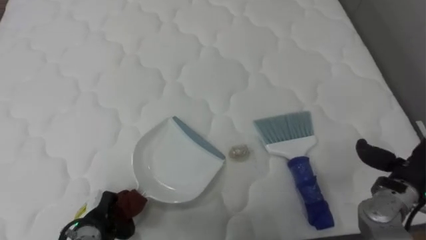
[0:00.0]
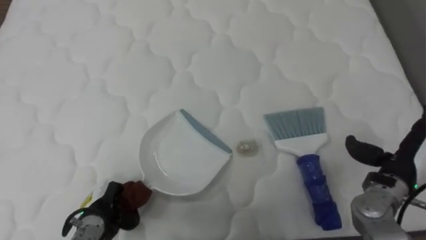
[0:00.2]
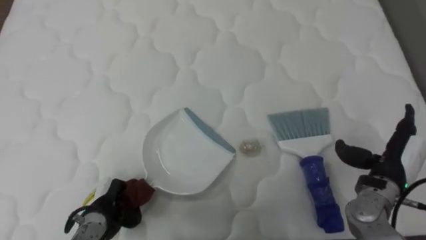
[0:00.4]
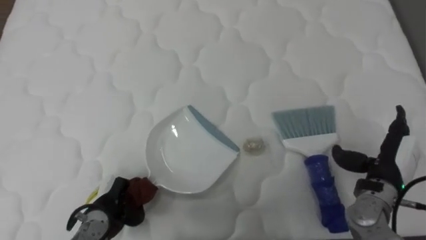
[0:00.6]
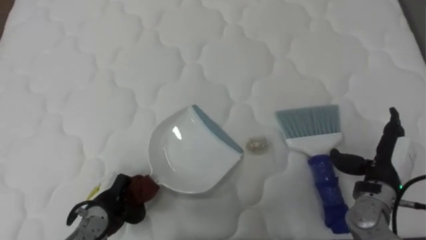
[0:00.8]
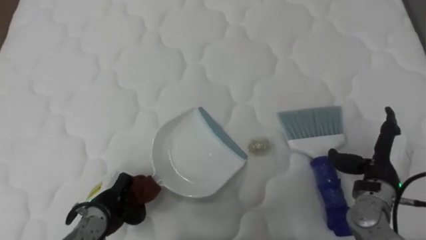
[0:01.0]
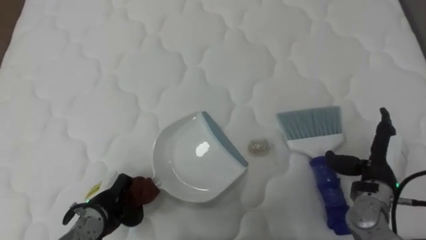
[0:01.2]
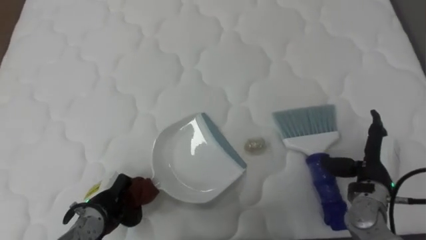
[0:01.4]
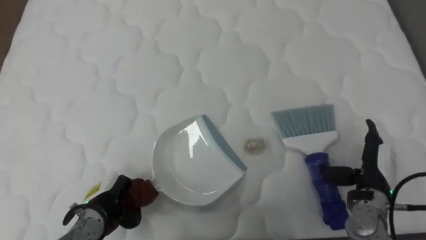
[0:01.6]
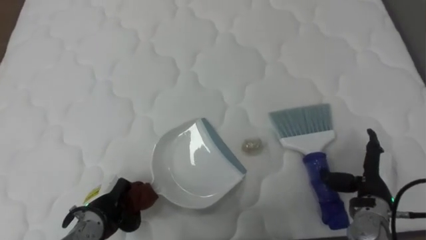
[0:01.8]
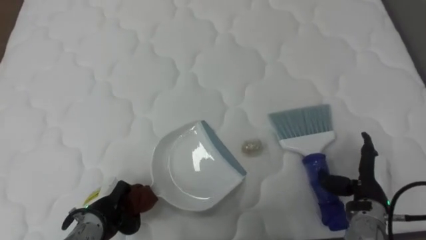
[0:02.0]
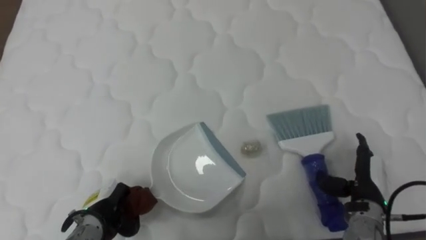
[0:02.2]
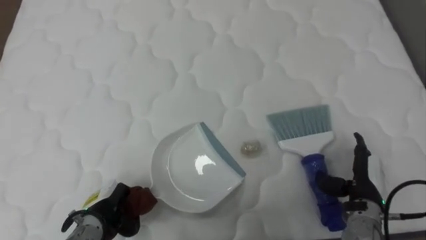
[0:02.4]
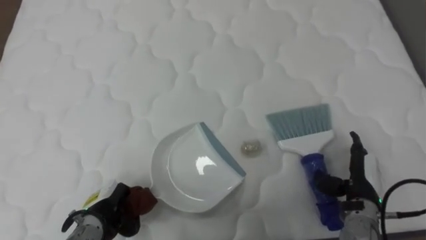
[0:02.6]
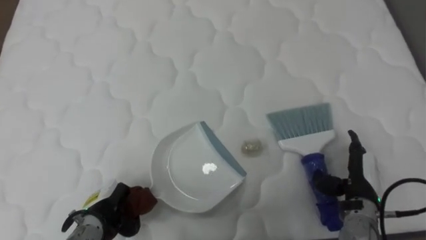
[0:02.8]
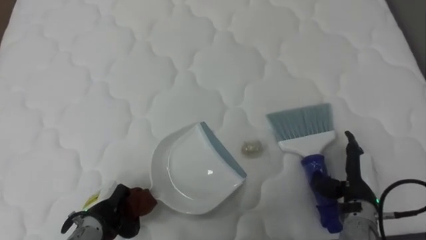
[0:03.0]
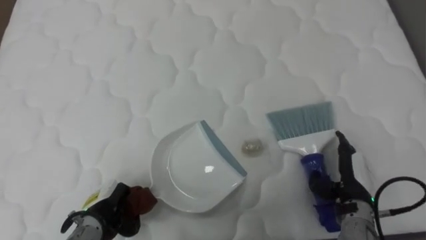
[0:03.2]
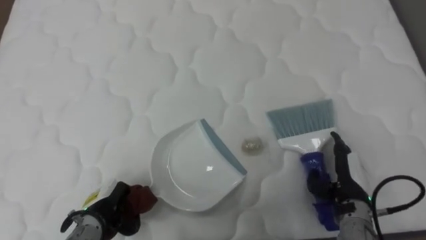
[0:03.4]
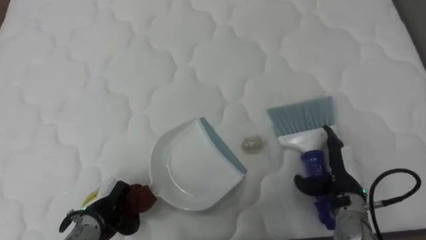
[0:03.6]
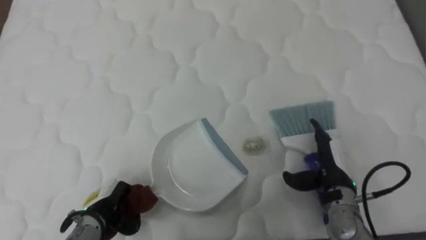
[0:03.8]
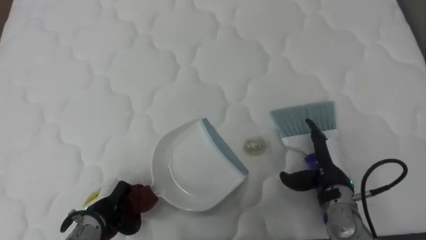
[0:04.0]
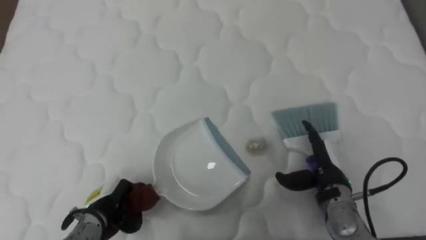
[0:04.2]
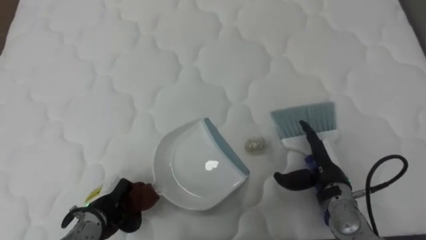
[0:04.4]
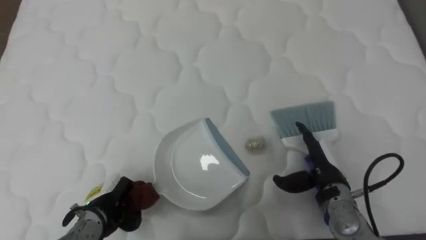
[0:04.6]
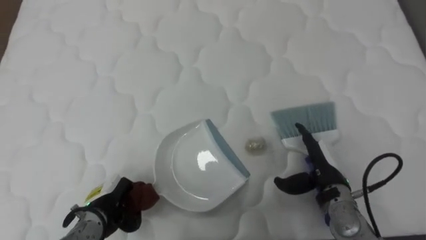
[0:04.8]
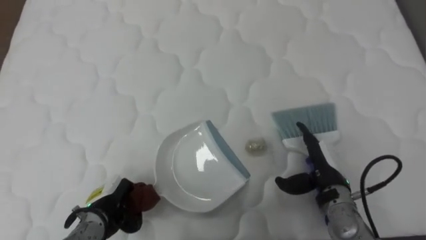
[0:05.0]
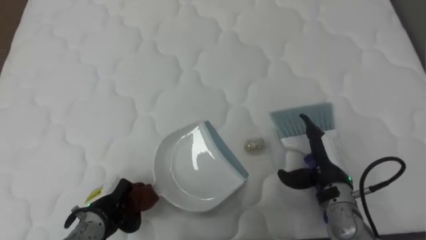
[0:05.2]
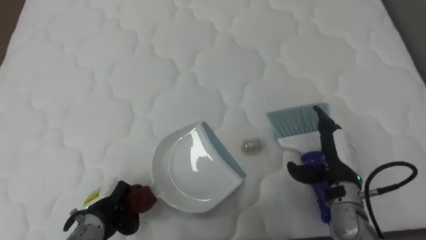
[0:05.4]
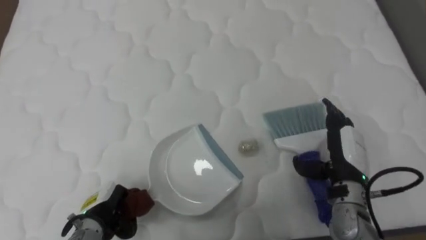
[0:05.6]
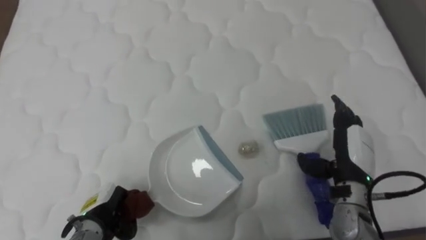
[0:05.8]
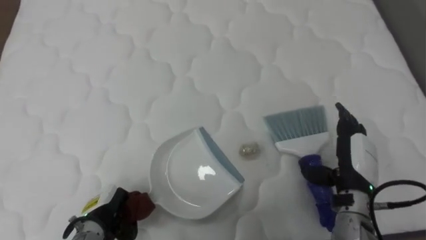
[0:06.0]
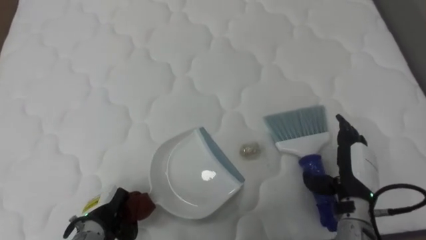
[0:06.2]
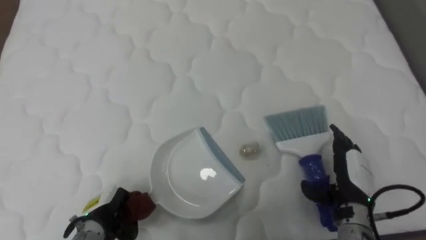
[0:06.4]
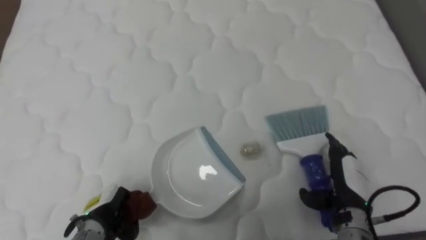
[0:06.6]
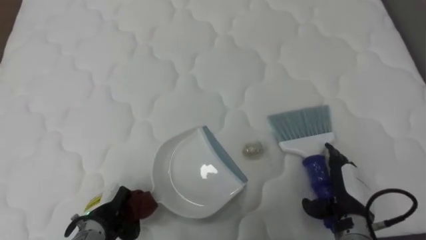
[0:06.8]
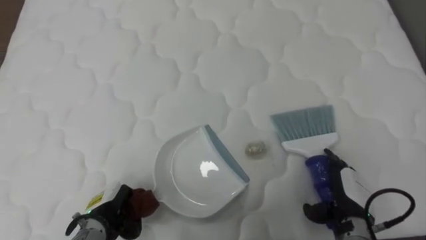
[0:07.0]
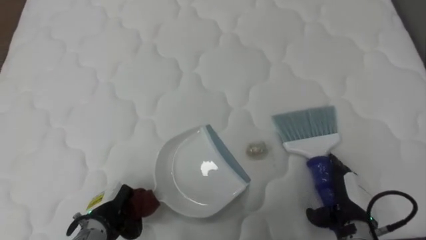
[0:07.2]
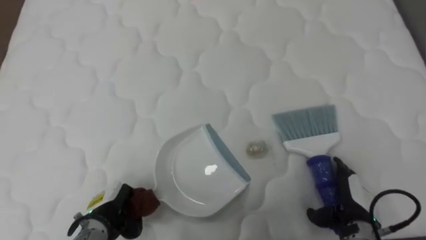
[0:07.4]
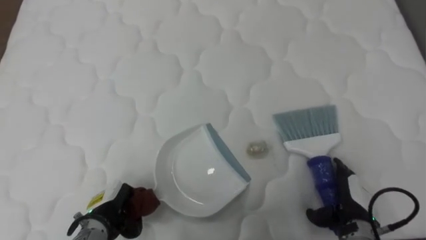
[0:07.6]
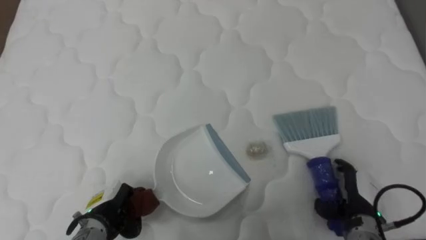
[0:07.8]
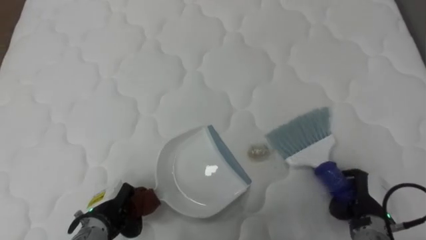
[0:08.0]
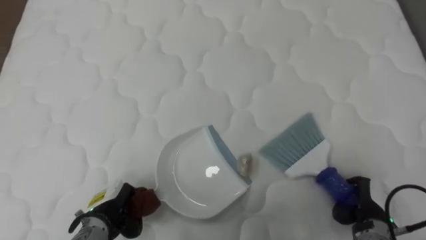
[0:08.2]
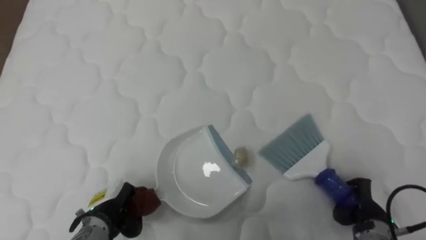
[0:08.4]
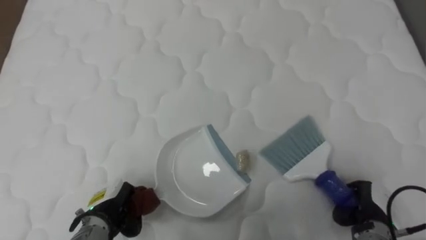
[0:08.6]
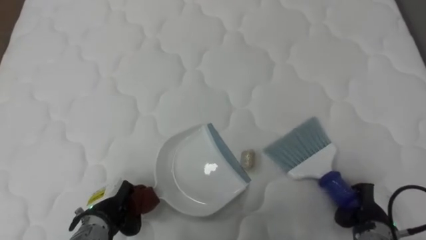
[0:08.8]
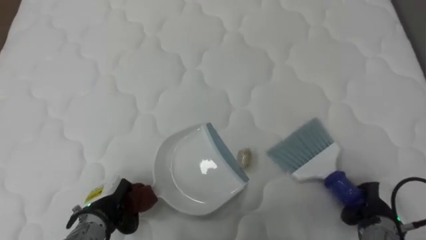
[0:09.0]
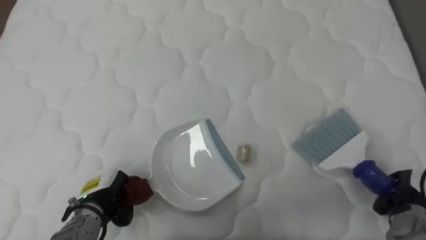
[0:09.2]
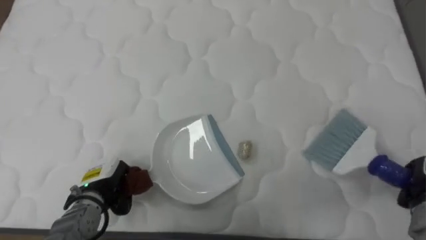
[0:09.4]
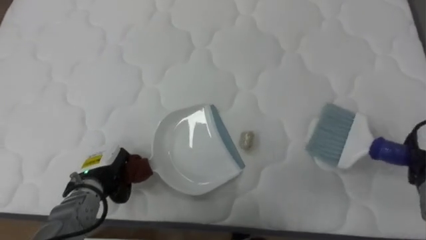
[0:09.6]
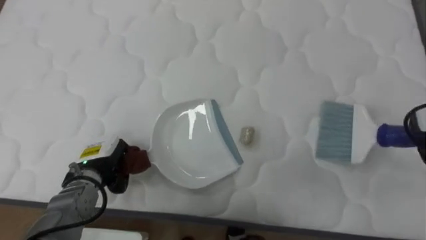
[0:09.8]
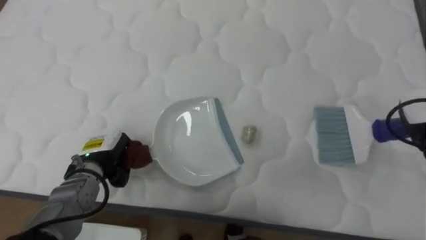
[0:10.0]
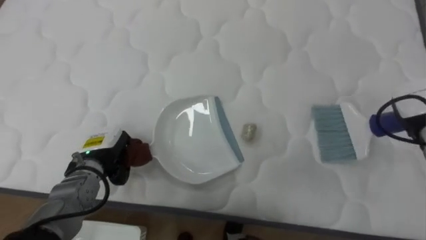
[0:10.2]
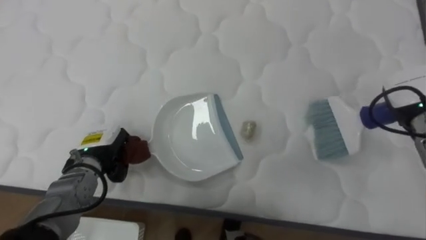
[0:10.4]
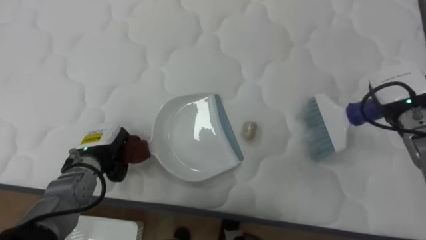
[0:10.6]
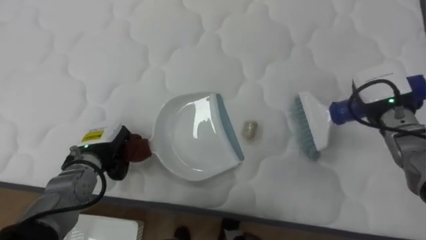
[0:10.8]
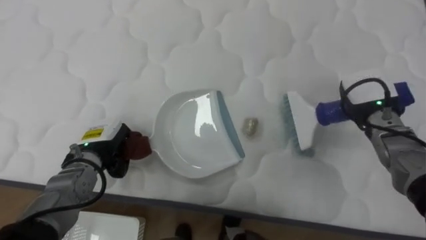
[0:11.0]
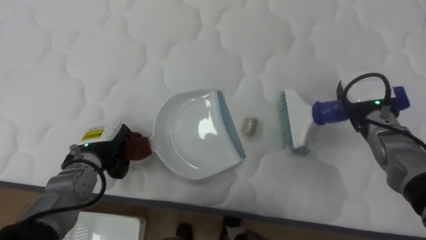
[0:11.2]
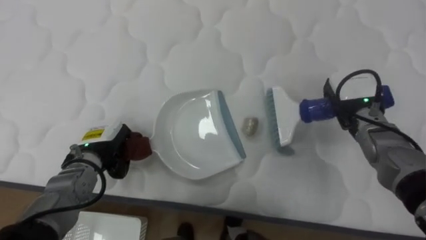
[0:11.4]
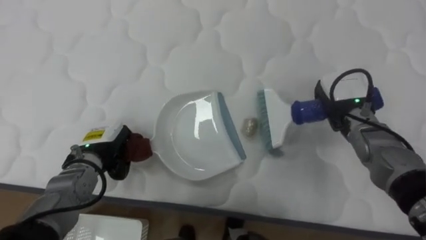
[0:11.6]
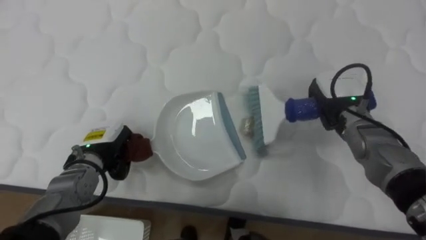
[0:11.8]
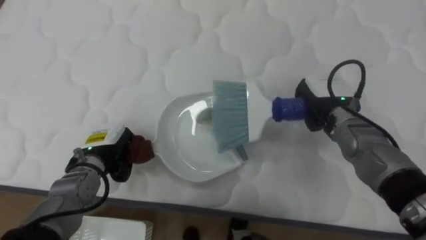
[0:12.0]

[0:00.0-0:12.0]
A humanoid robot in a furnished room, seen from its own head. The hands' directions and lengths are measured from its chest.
Task of the whole recording: Pick up the brush on your right and the dustpan on your left. Use the brush to sweep the crumpled paper on the bed into the dustpan, then turn left and empty it into the basket.
0:00.0 to 0:01.6: The right hand moves to the left, some 5 cm.
0:01.6 to 0:03.0: The hands make only small movements.
0:03.0 to 0:04.4: The right hand heads to the left, covering approximately 5 cm.
0:04.4 to 0:06.0: The right hand moves roughly 5 cm.
0:06.0 to 0:07.6: The right hand is displaced downward by some 10 cm.
0:07.6 to 0:09.0: The right hand heads to the right, covering some 5 cm, and closes.
0:09.0 to 0:10.4: The left hand shifts about 10 cm forward and upward.
0:10.4 to 0:12.0: The right hand goes approximately 15 cm to the left.

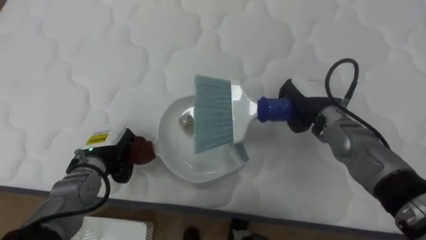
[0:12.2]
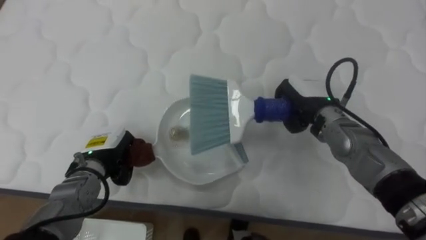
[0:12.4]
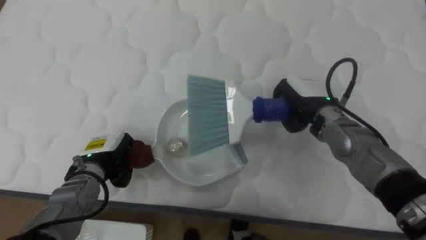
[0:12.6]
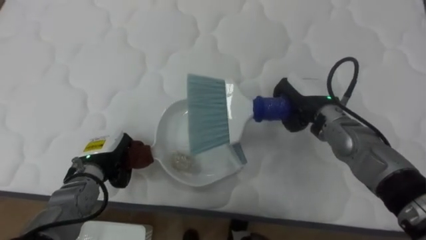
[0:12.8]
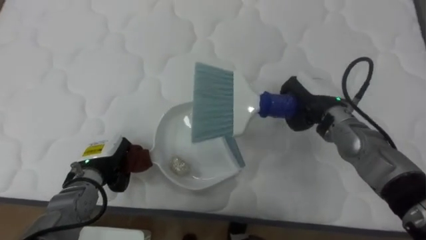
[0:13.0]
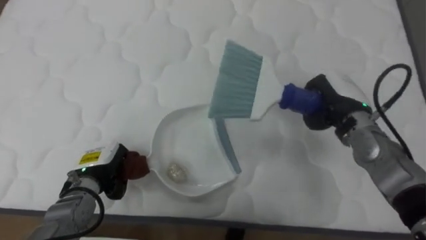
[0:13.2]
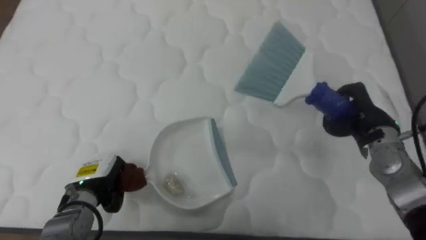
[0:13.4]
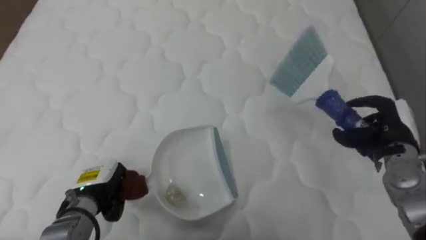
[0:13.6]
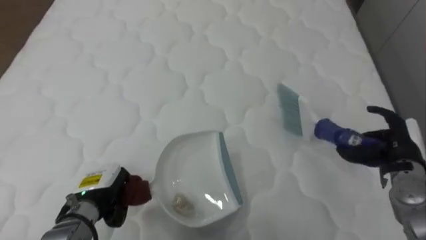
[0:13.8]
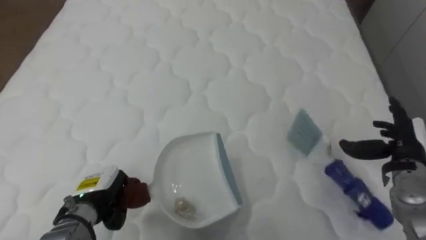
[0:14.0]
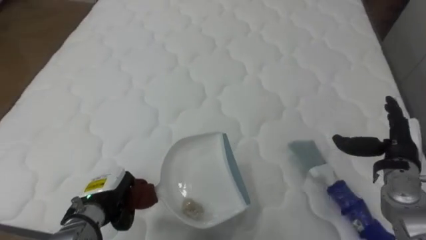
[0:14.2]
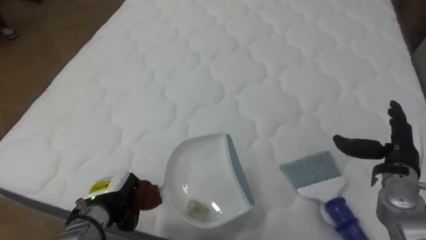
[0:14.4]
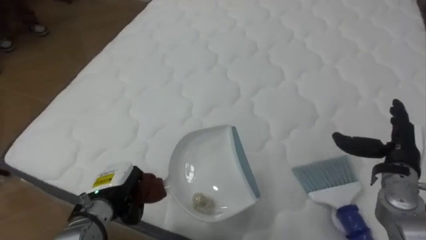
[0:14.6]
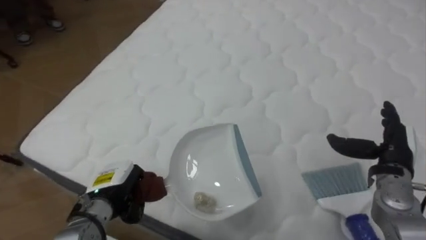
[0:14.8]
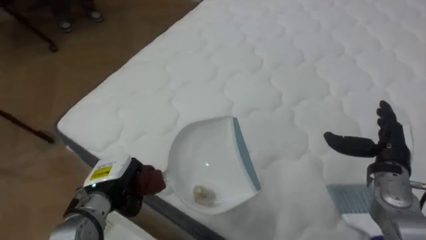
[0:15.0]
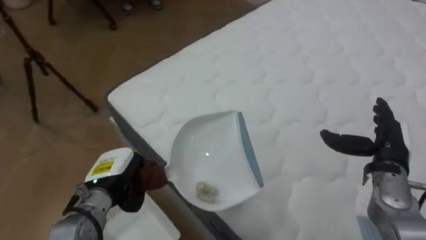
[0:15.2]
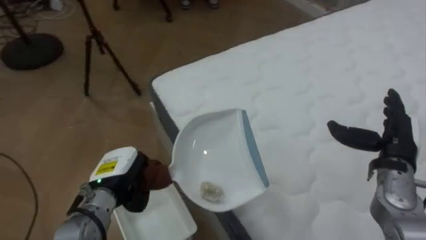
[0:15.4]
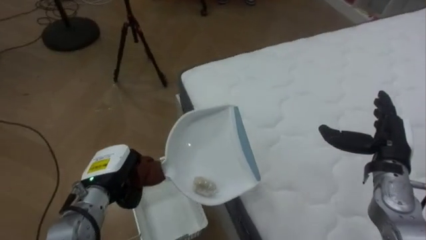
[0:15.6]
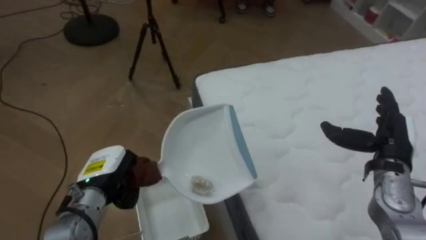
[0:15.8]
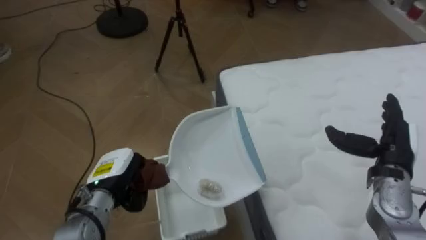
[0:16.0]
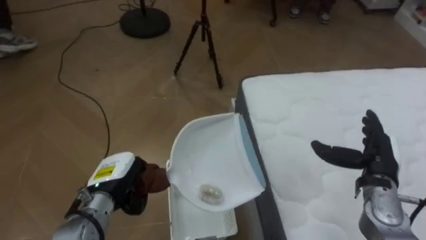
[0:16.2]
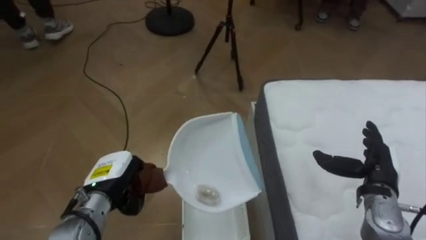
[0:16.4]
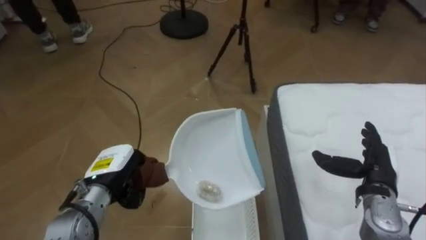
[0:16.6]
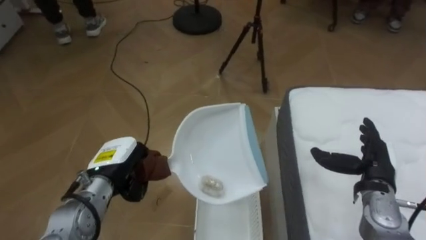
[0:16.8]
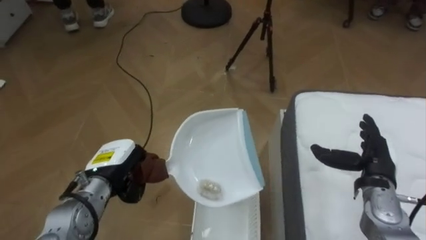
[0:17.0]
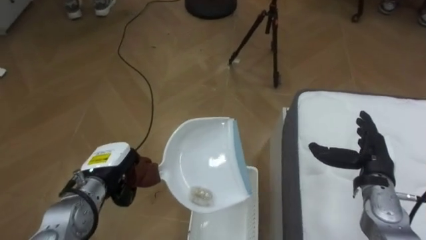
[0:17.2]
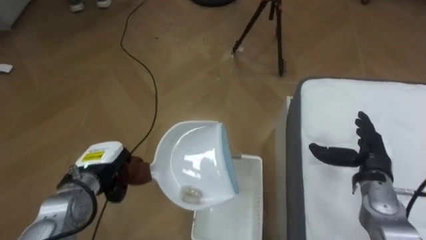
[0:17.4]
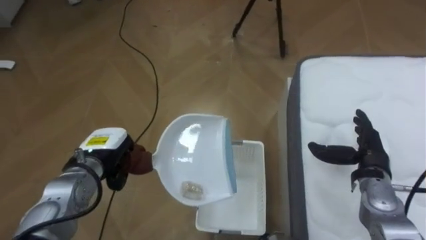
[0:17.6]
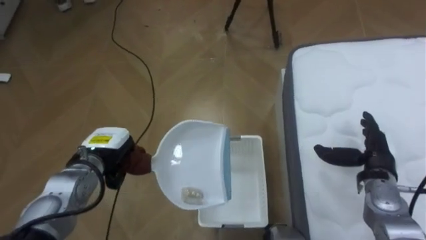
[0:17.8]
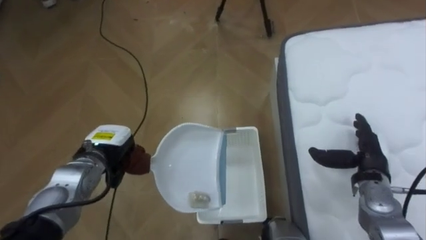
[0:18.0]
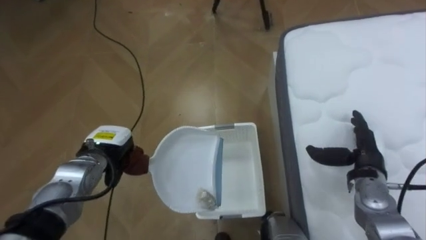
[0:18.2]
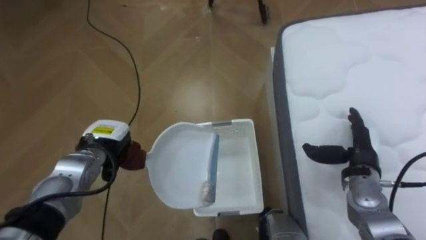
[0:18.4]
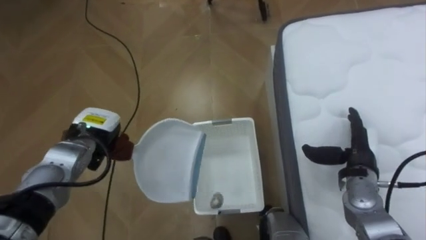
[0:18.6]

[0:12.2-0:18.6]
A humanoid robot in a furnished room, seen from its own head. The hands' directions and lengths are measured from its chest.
Task of the whole recording: Pick up the brush on your right and the dustpan on your left. Use the brush to sweep the crumpled paper on the bed into the dustpan, then turn left and empty it into the basket.
0:12.2 to 0:13.8: The left hand heads backward, covering roughly 10 cm, while the right hand moves to the right and backward, some 20 cm, and opens its fingers.
0:13.8 to 0:15.4: The robot rotates about 60 degrees to its left. The left hand ends up roughly 5 cm from where it was.
0:15.4 to 0:17.0: The robot's body swings about 35 degrees to its left. The right hand moves about 5 cm.
0:17.0 to 0:18.6: The left hand goes some 10 cm forward.
